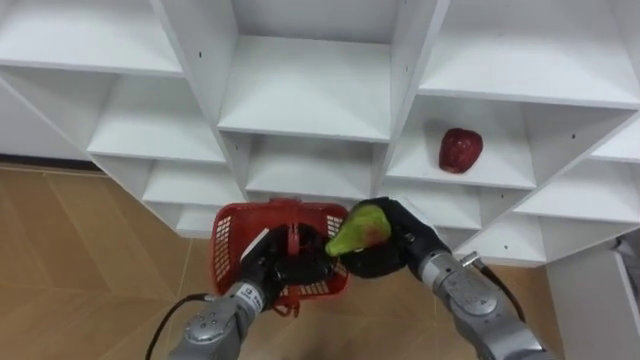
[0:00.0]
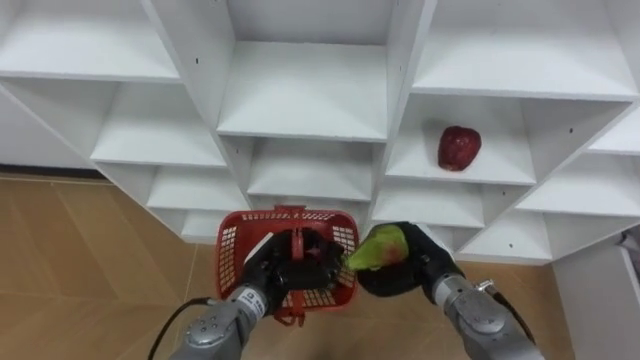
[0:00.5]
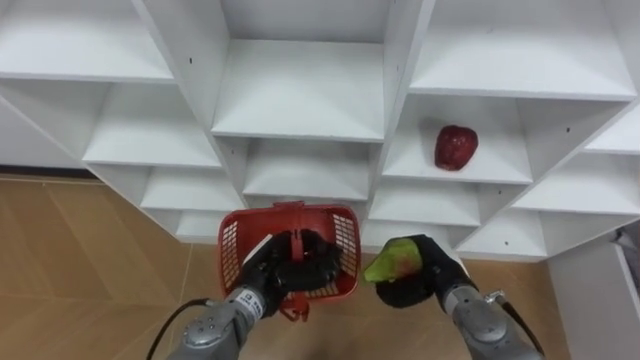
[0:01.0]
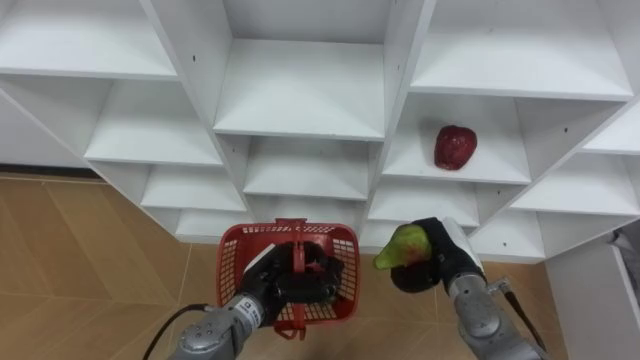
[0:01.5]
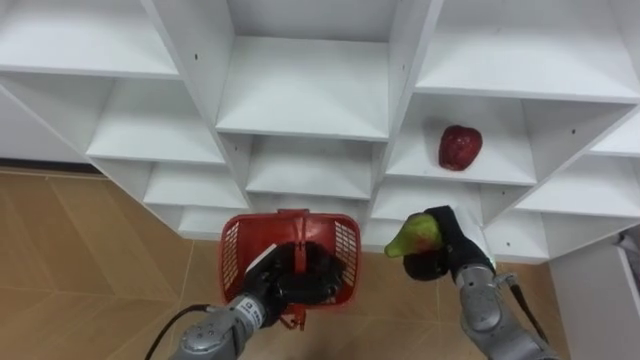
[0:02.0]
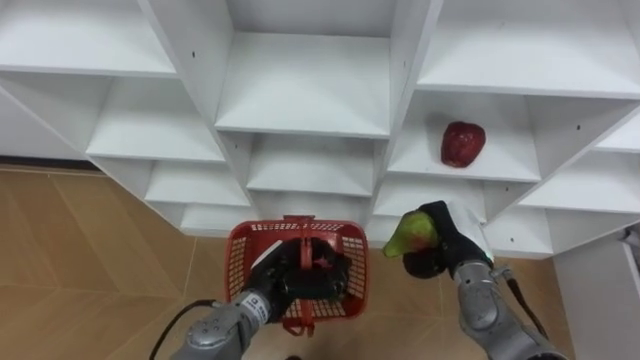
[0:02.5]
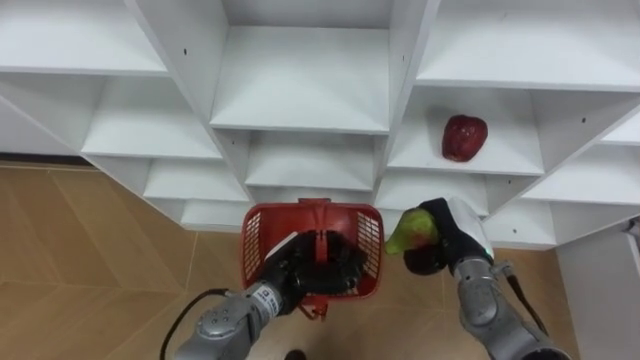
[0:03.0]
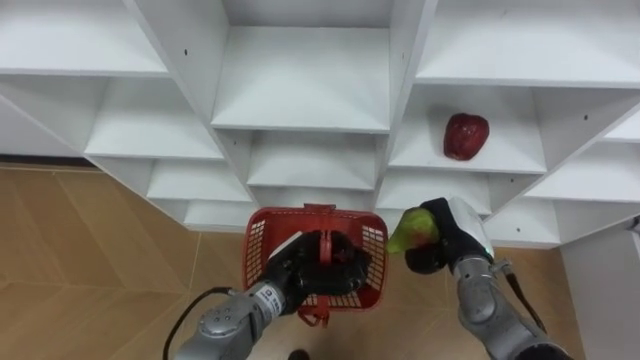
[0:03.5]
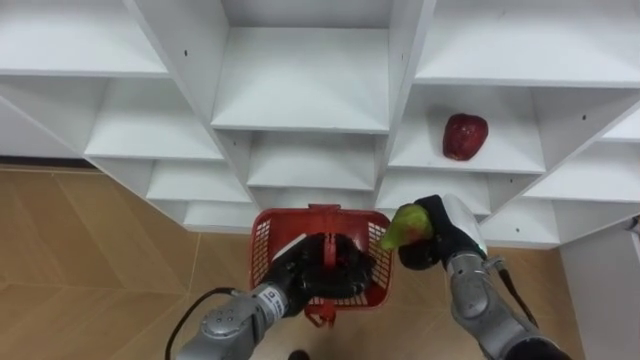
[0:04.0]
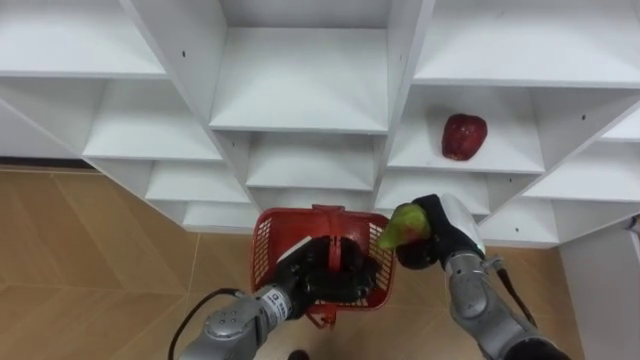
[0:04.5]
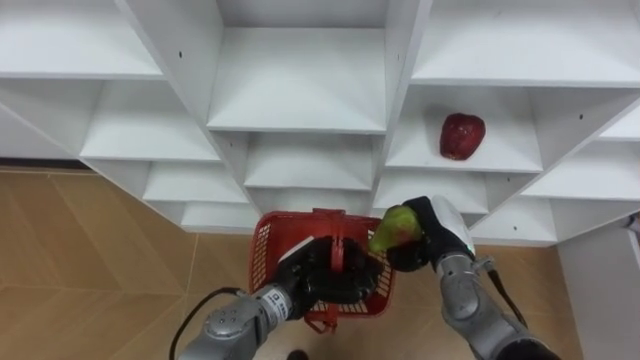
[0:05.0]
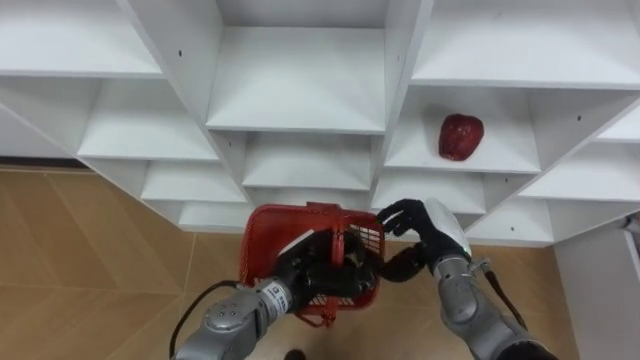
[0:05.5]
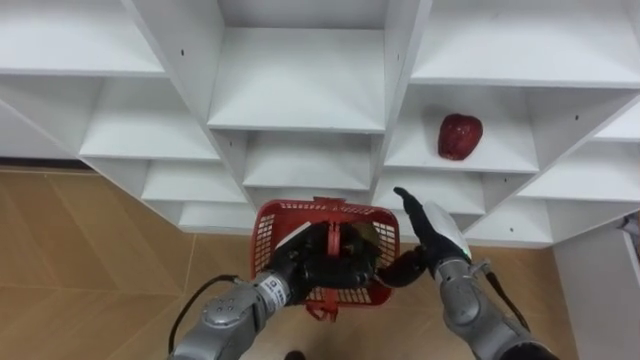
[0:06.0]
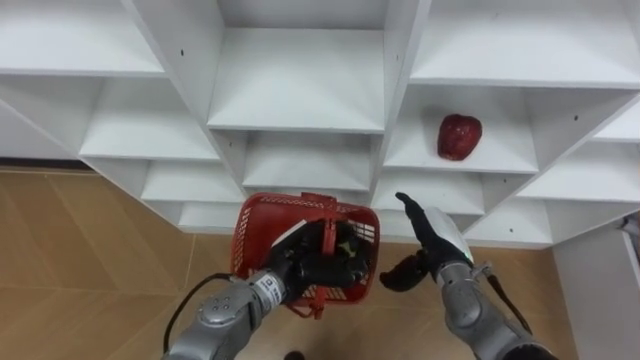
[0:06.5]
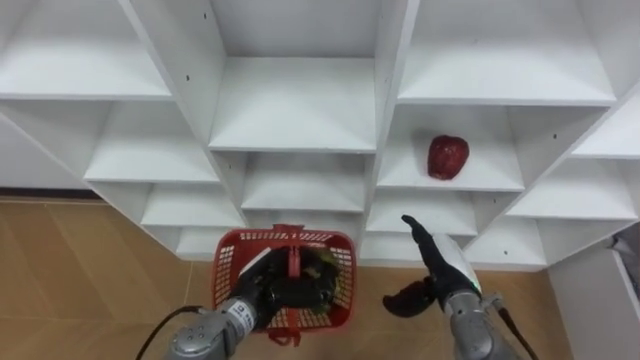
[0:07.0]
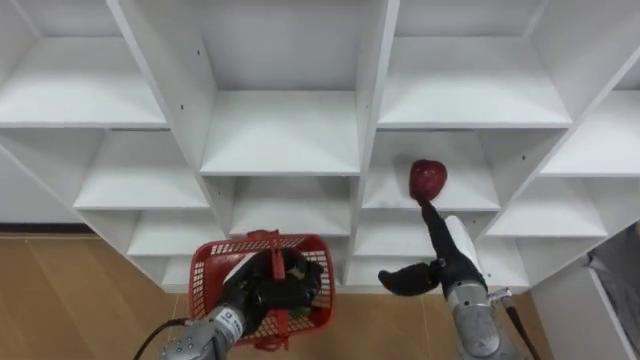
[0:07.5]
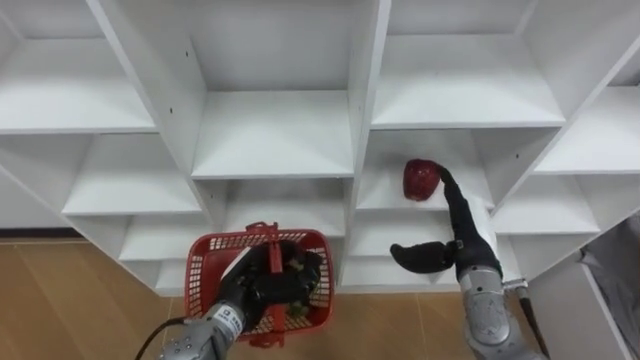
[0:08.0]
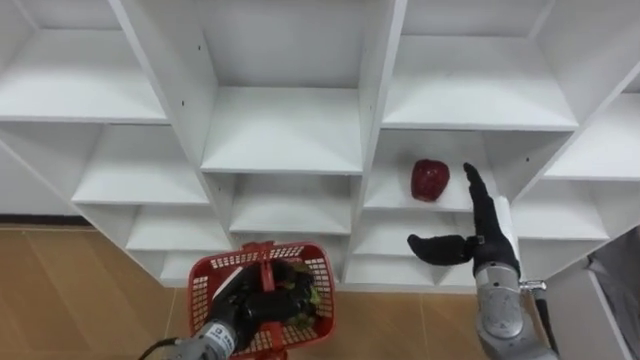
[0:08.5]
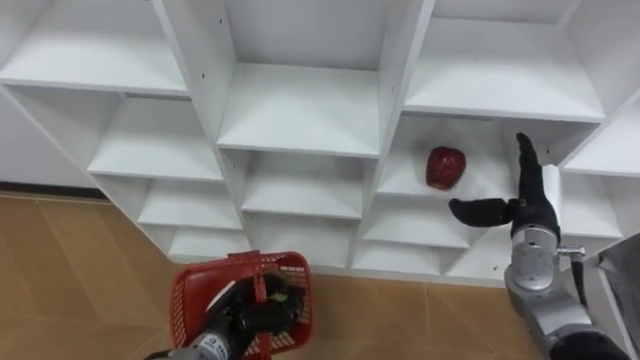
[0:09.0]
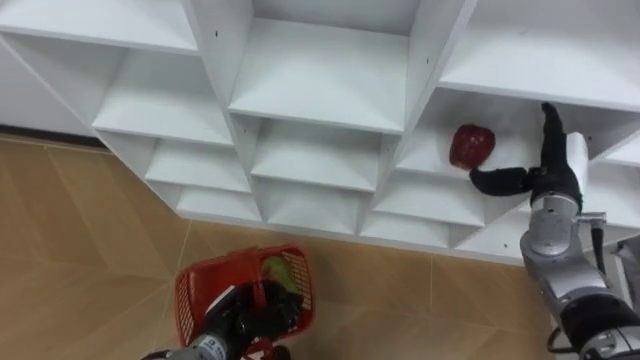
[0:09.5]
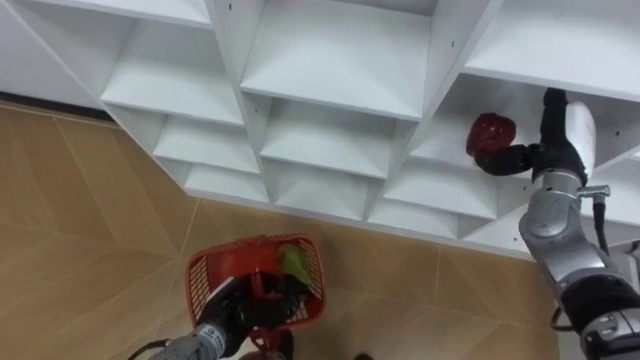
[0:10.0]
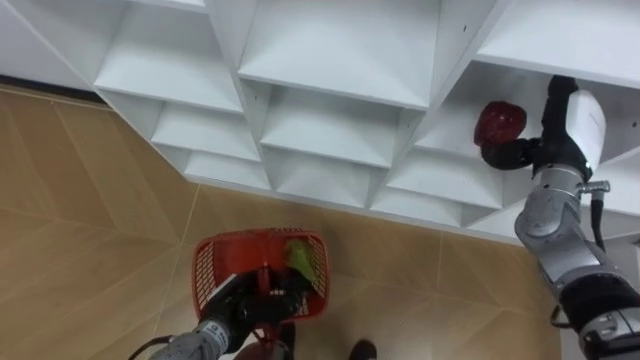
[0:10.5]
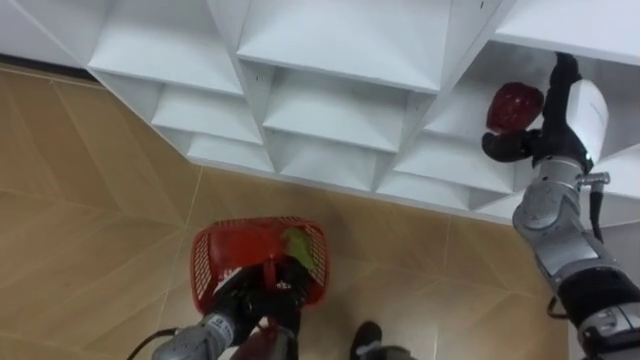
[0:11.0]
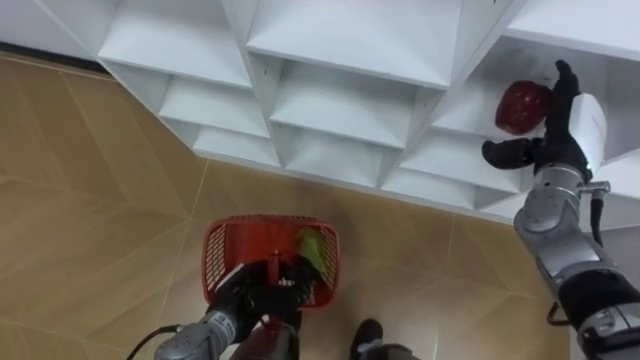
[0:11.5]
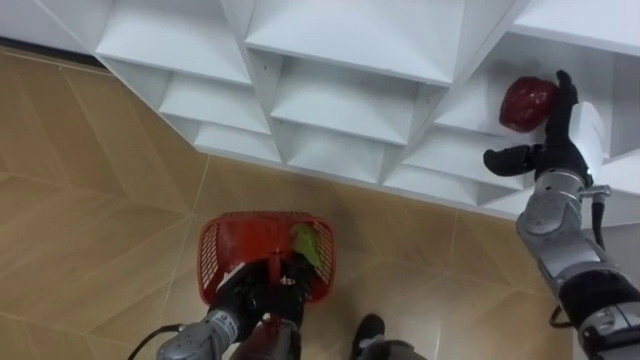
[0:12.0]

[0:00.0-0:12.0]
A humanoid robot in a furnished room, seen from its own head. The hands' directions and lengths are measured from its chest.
Task of the whole recording: Hold the basket and collect the fruits from 3 different cells of the closet into it.
0.0 to 2.0 s: The right hand travels to the right by some 10 cm.
4.0 to 6.0 s: The right hand opens up.
6.0 to 8.0 s: The right hand changes place by roughly 5 cm; the left hand shifts about 10 cm to the left.
8.0 to 10.0 s: The right hand moves to the right, upward and forward, about 15 cm; the left hand shifts by roughly 5 cm.

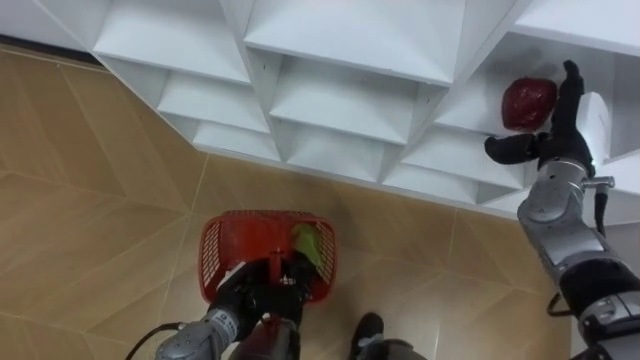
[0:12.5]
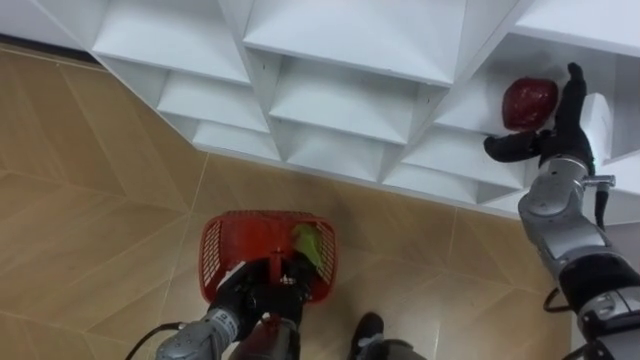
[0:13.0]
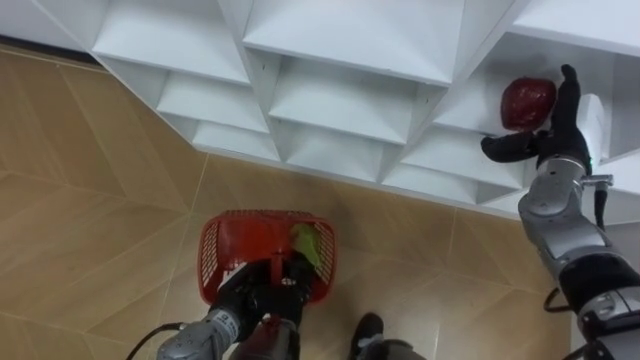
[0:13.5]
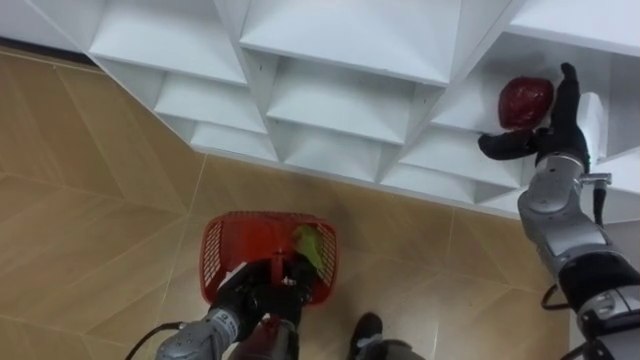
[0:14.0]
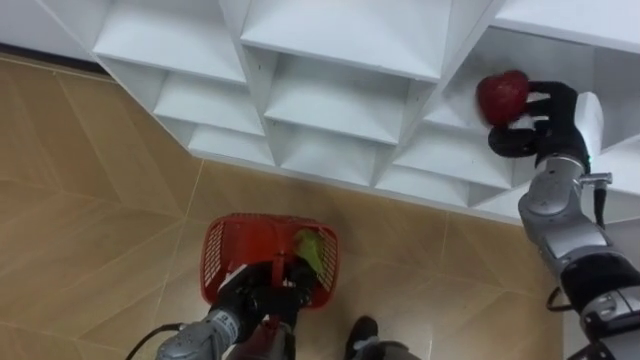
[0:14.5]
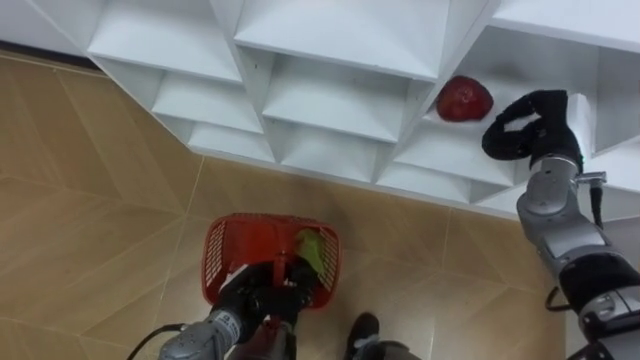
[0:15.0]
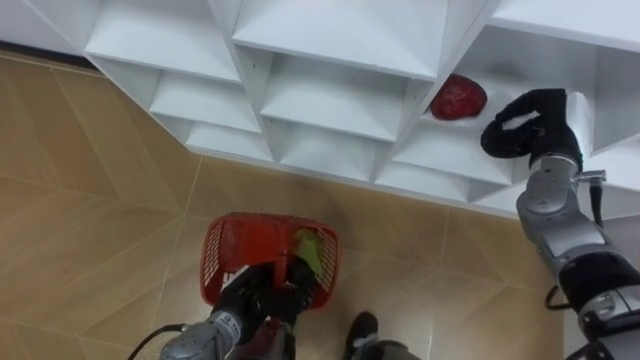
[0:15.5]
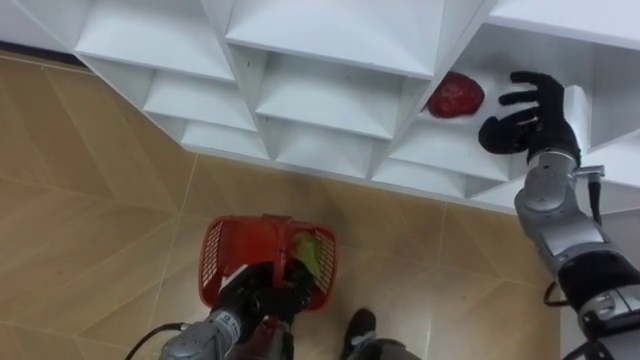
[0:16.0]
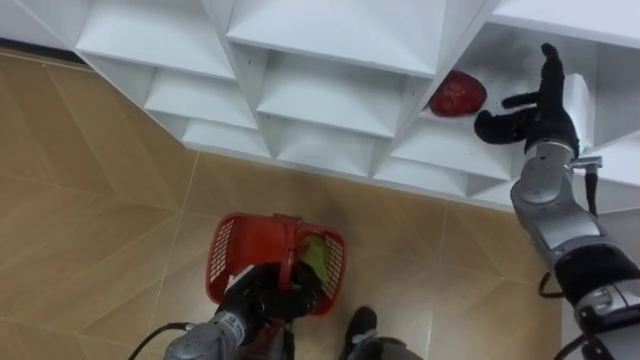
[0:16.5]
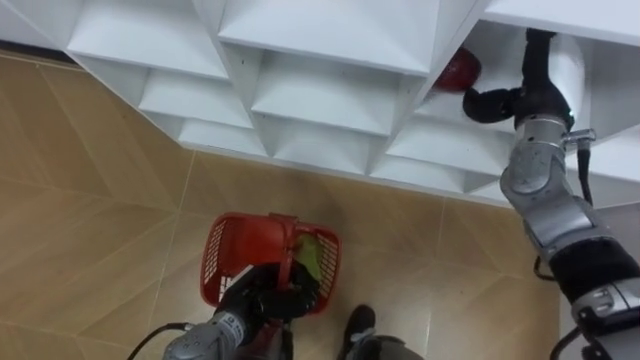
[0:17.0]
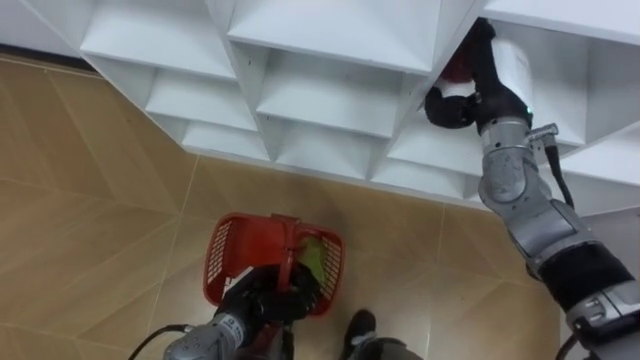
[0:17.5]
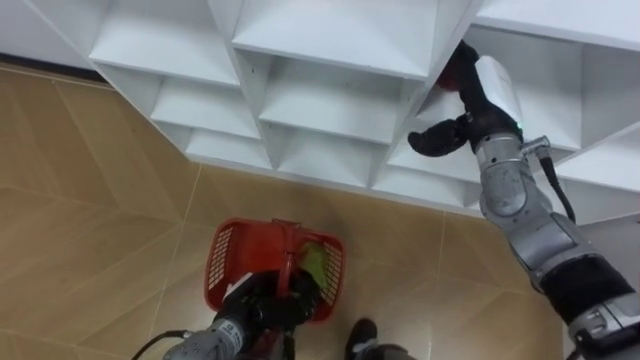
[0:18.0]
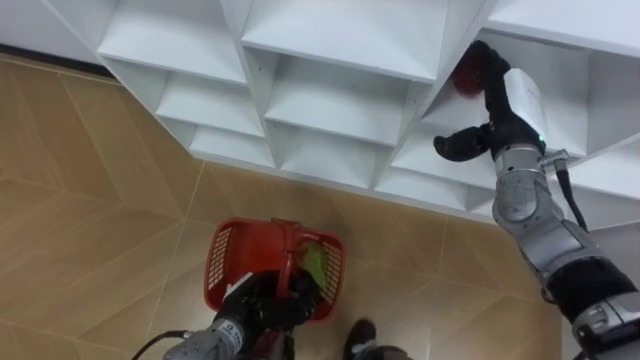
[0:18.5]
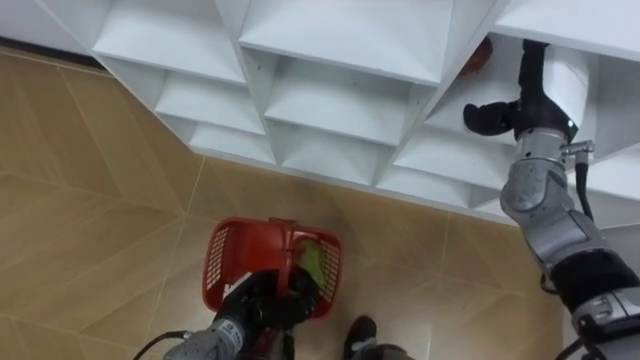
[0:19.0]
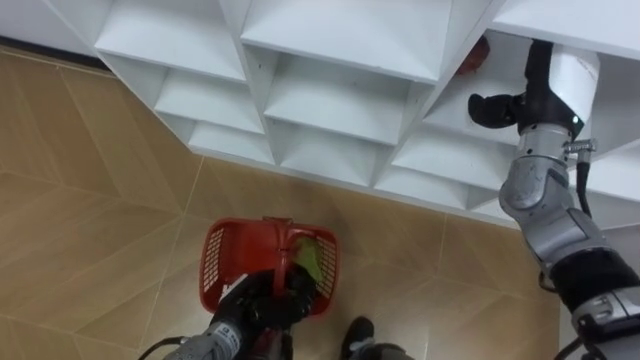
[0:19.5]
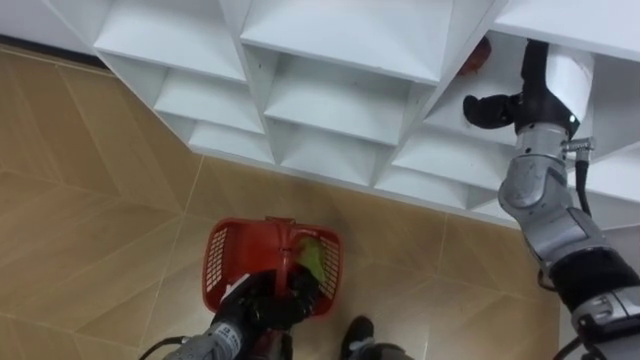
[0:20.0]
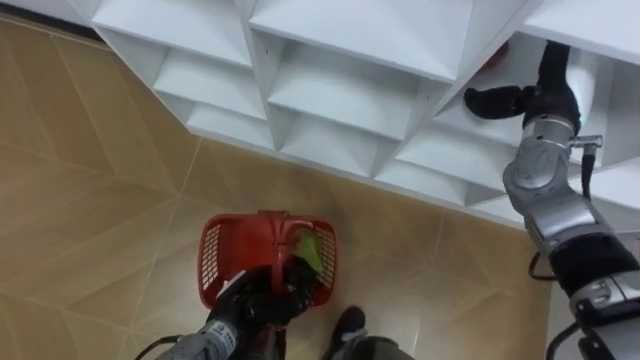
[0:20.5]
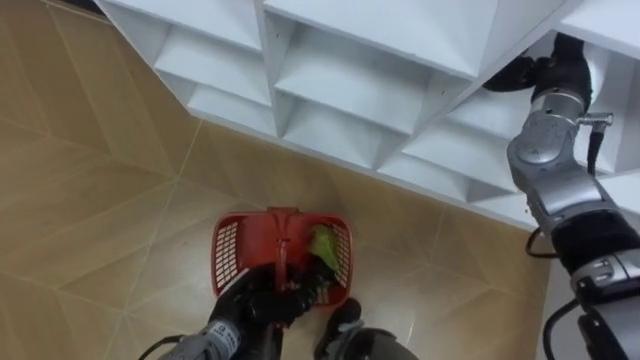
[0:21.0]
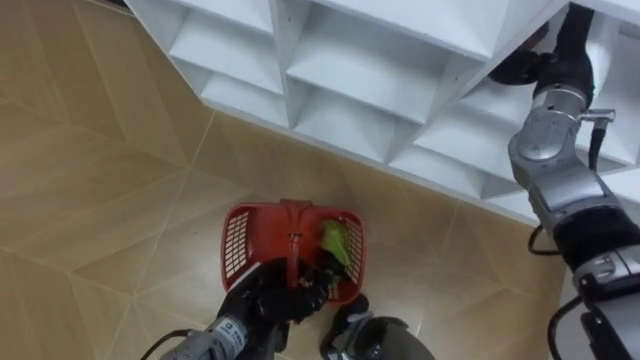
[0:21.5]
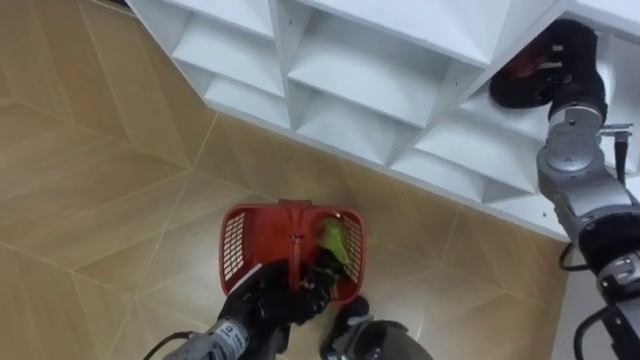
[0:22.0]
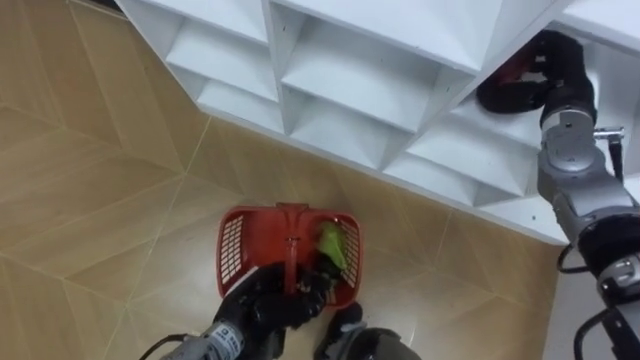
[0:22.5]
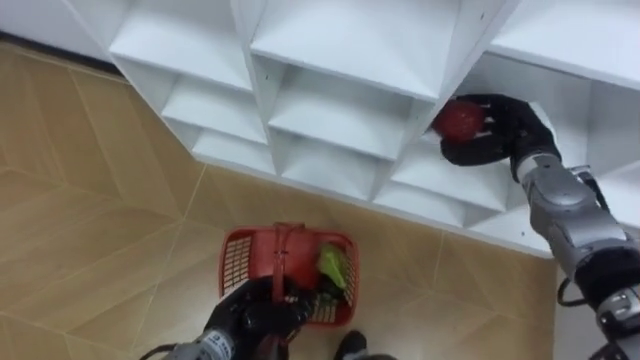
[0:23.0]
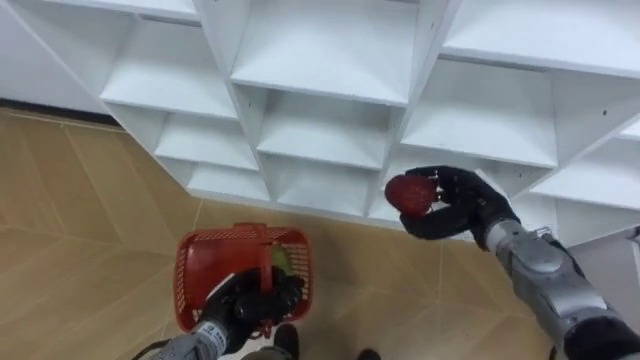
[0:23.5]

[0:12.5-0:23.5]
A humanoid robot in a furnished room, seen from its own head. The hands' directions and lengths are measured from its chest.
Task of the whole recording: Hold the basket and collect the fruits from 3 different cells of the closet into it.
12.5 to 14.5 s: The right hand closes up.
14.5 to 16.0 s: The right hand closes, then reopens.
16.0 to 18.0 s: The right hand moves to the left, approximately 10 cm.
18.0 to 20.0 s: The right hand moves to the right, some 5 cm.
21.5 to 23.5 s: The right hand goes about 20 cm downward and backward, and closes up.
